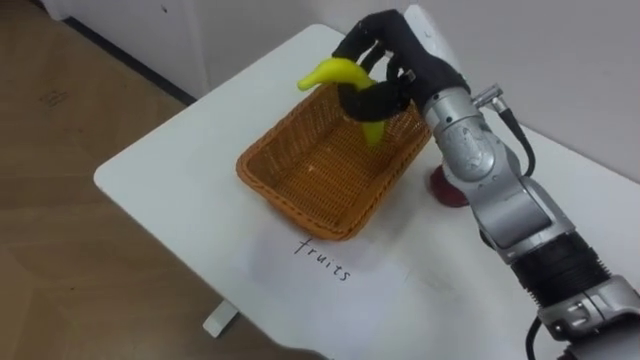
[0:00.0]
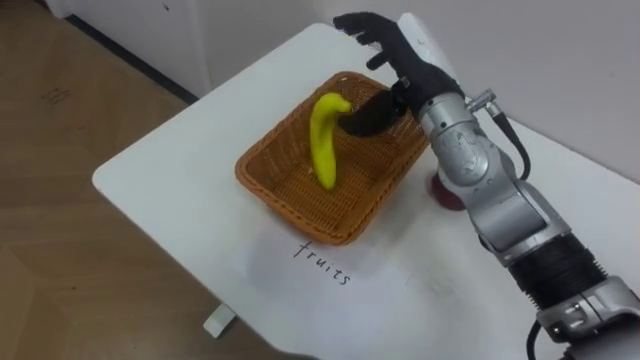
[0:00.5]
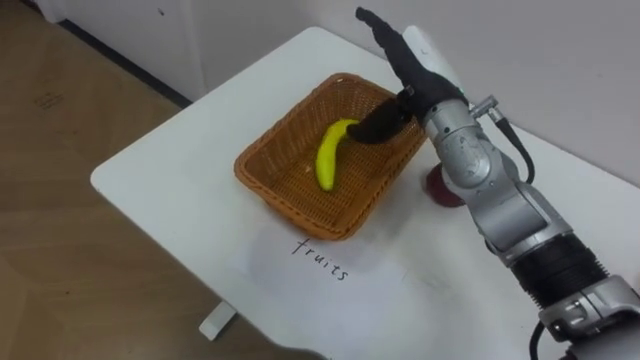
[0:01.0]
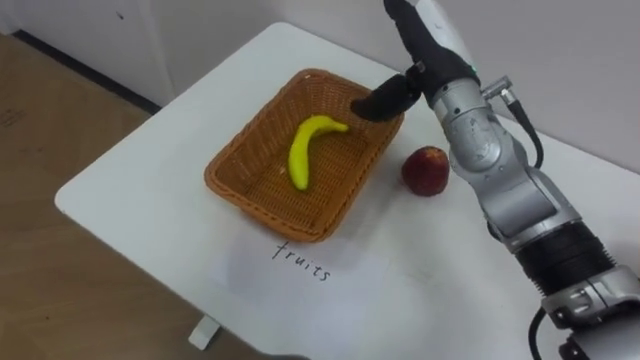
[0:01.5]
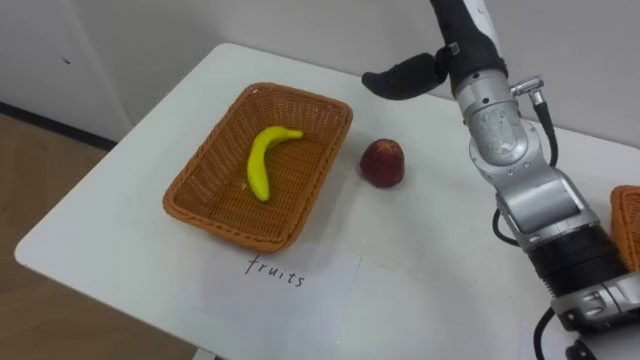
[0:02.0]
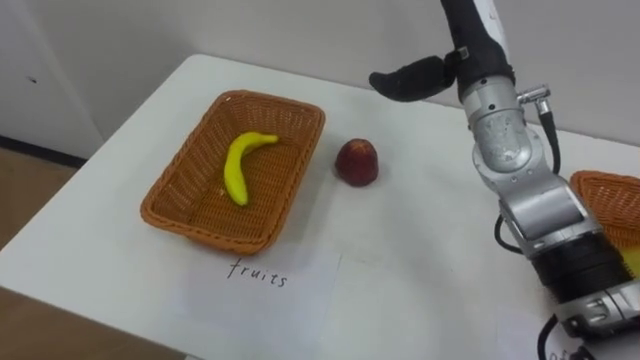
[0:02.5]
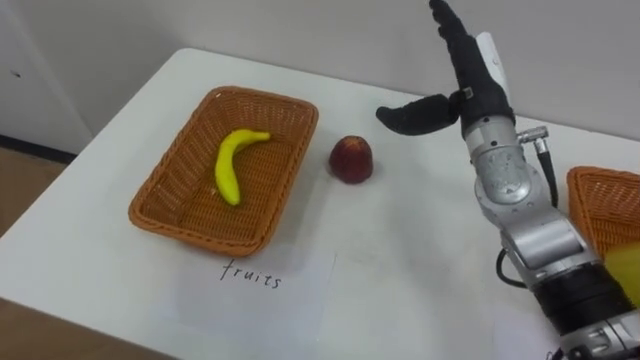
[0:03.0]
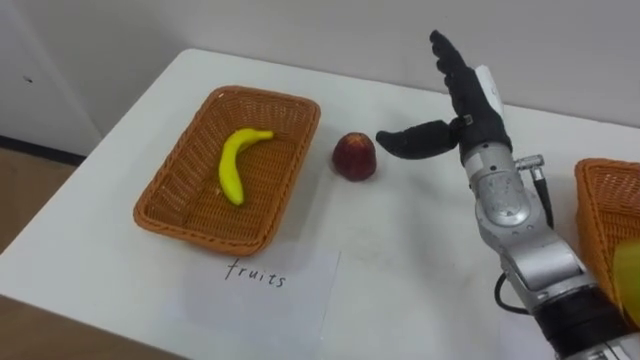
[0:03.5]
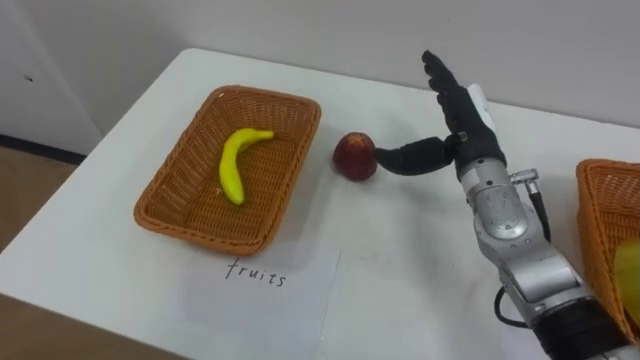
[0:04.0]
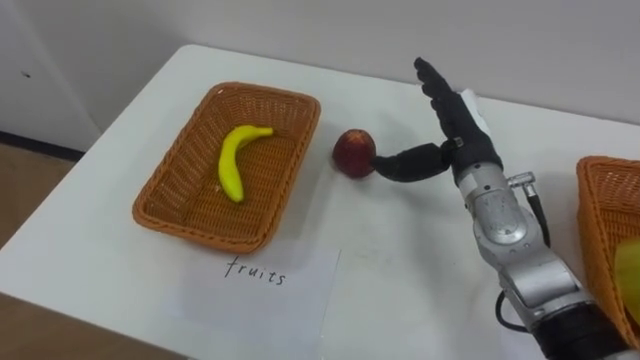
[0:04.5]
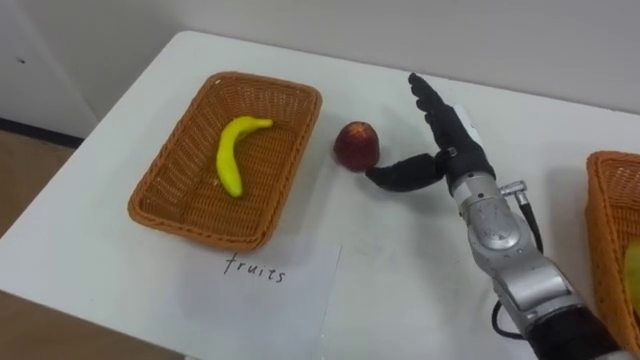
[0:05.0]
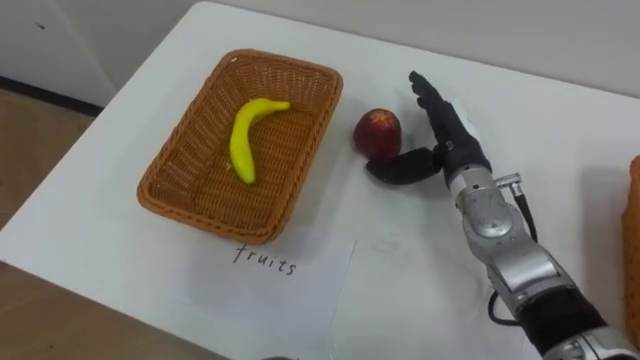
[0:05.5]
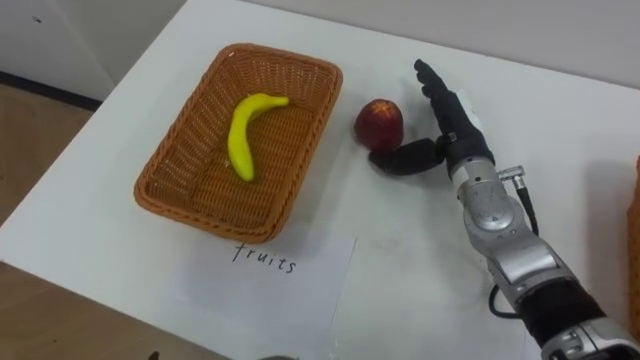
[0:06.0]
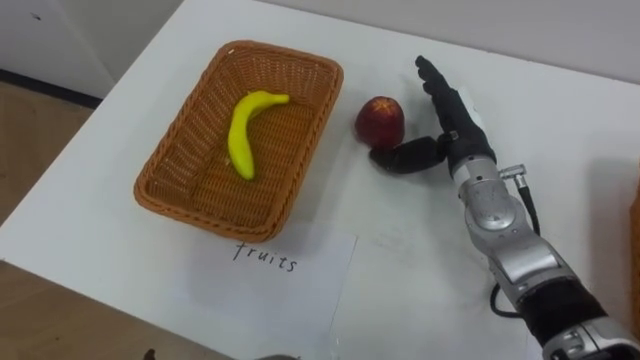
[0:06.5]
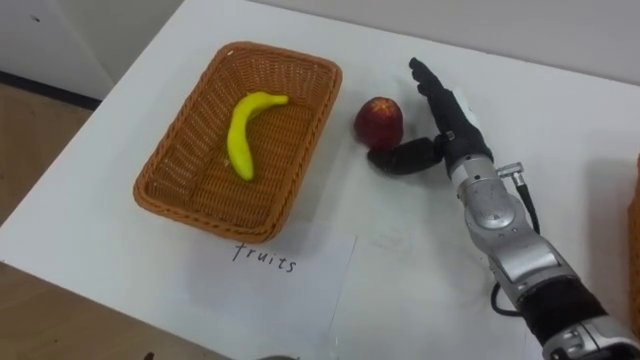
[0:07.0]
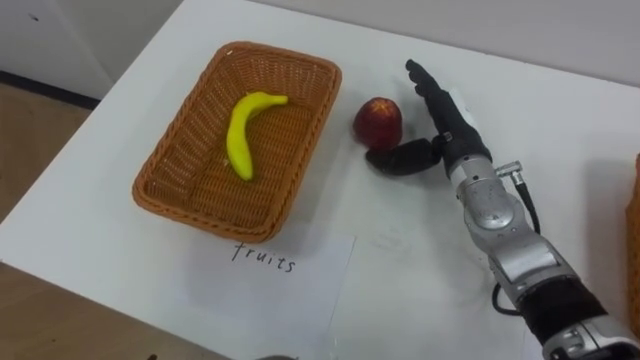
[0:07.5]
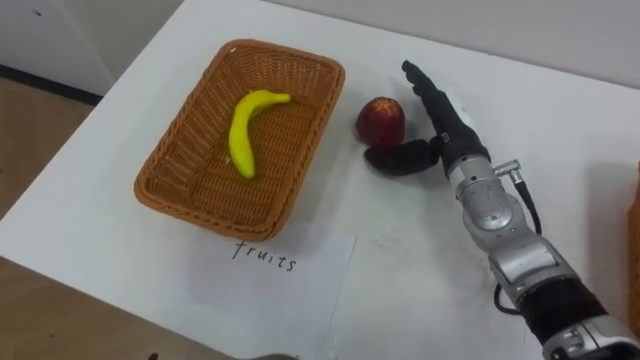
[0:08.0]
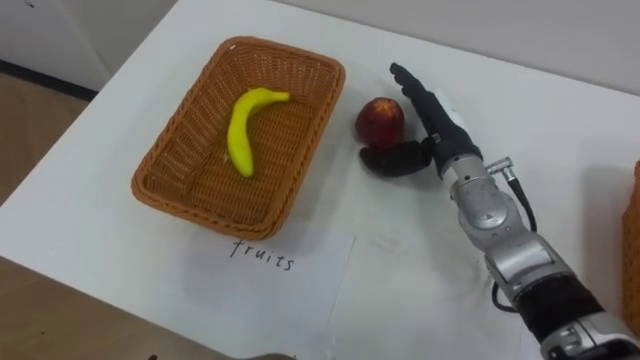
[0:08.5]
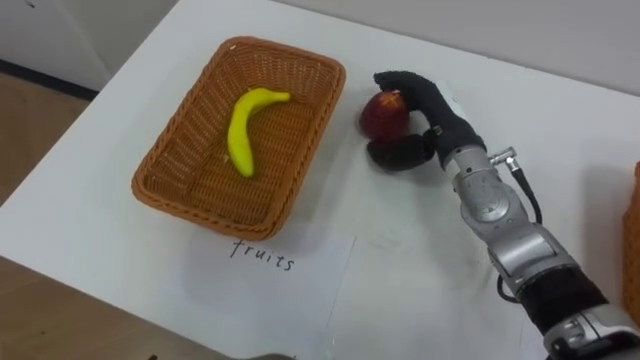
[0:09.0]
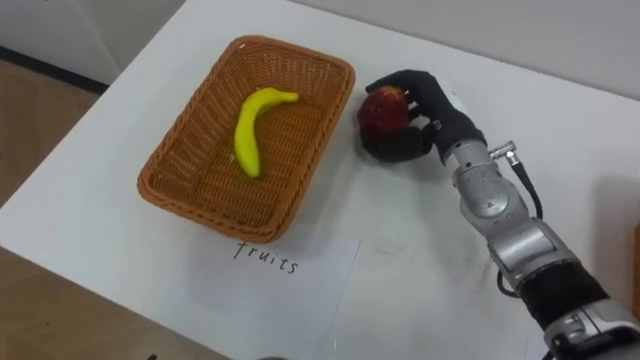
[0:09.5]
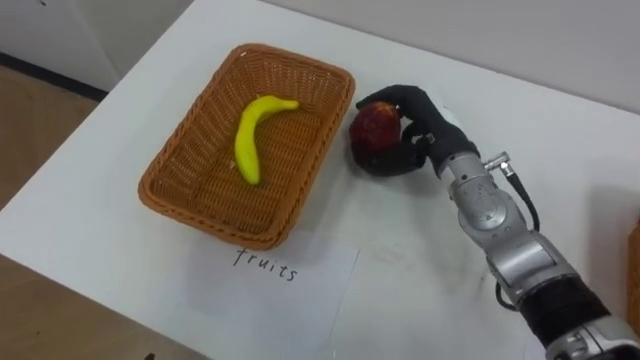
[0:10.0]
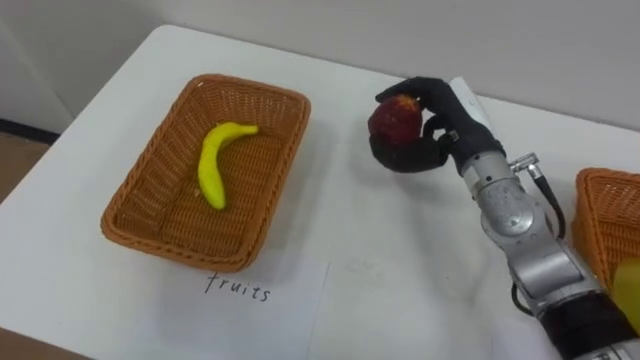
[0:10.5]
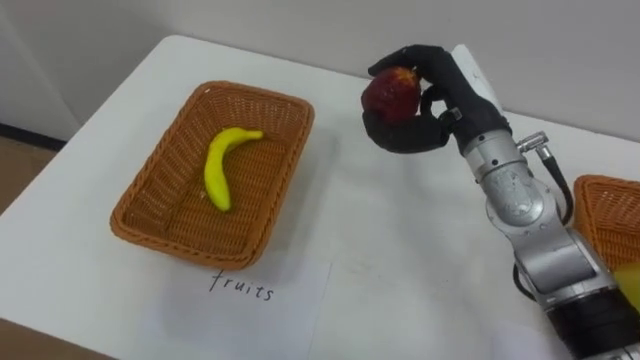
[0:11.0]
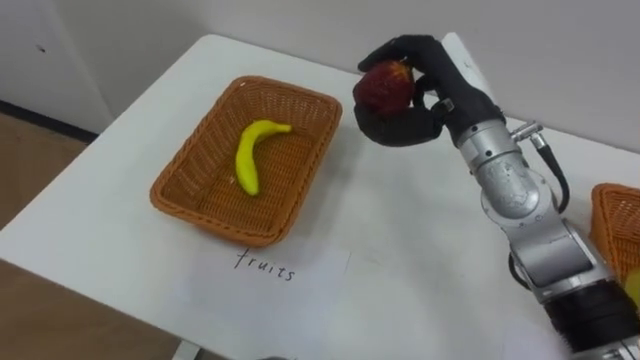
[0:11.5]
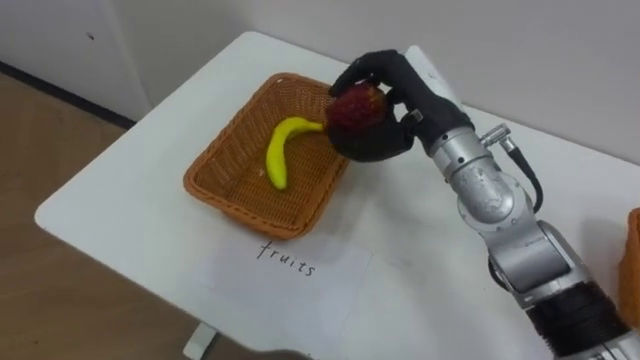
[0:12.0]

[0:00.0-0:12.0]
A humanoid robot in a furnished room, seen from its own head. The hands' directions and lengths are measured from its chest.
Task of the whole recording: Separate the items on the table and place them into the two baskets.
0:00.0 to 0:02.0: The right hand opens its fingers.
0:02.0 to 0:04.0: The right hand shifts approximately 10 cm downward.
0:08.0 to 0:10.0: The right hand closes up.
0:10.0 to 0:12.0: The right hand heads upward, covering about 5 cm.

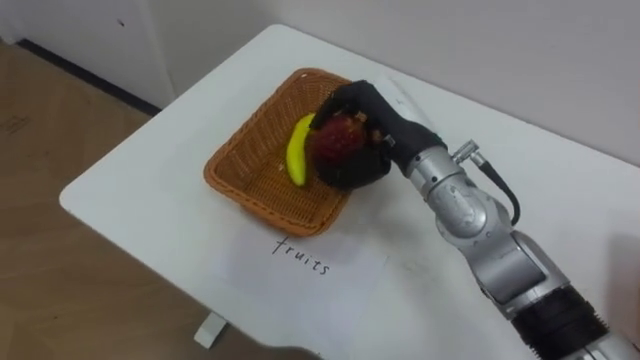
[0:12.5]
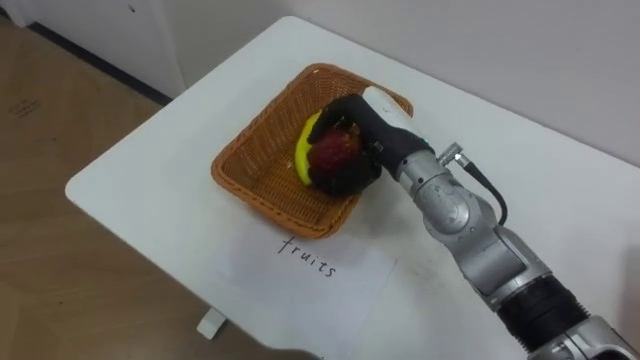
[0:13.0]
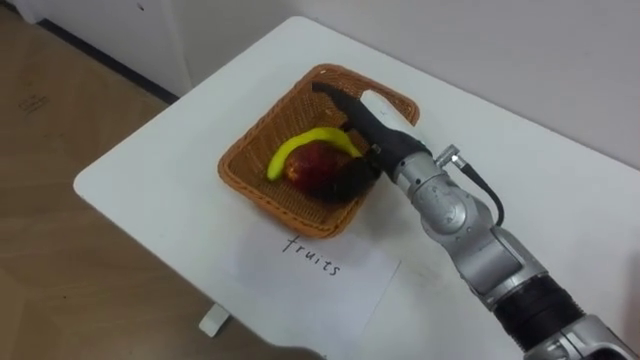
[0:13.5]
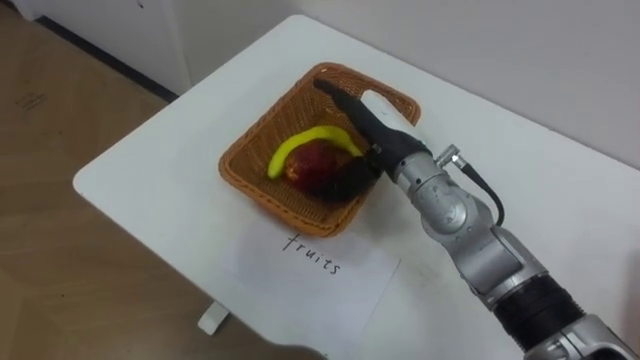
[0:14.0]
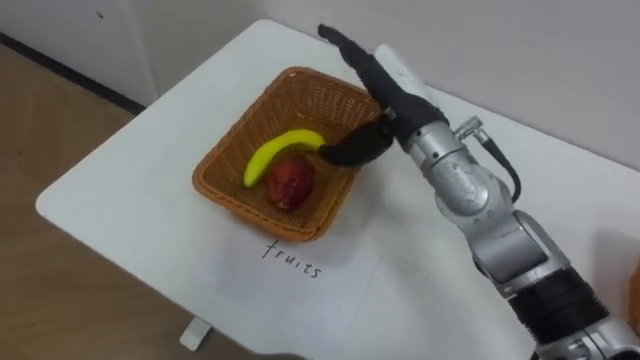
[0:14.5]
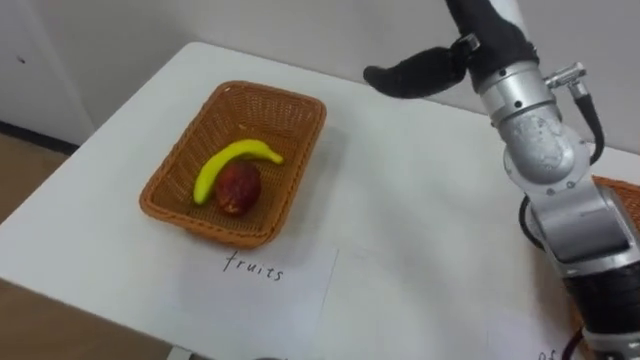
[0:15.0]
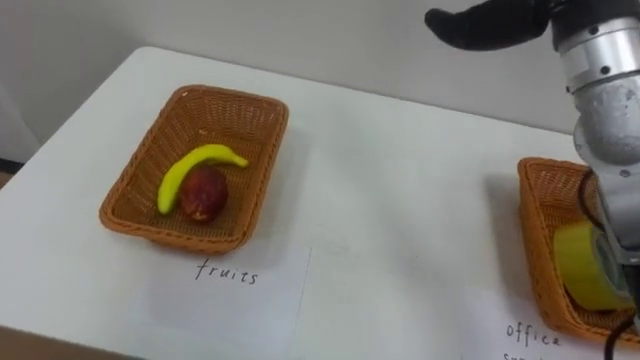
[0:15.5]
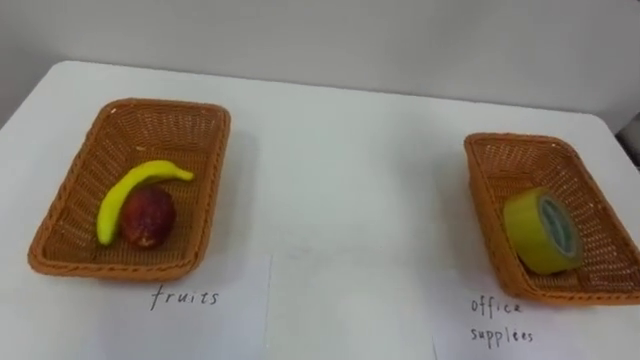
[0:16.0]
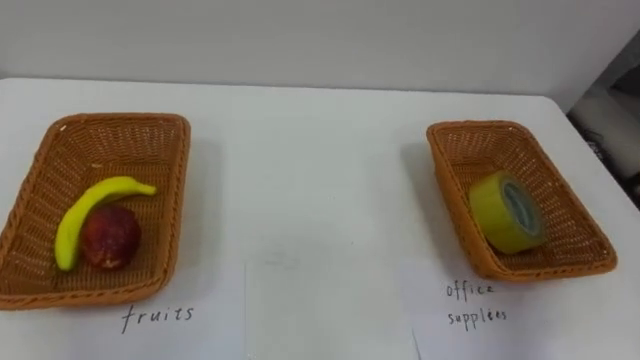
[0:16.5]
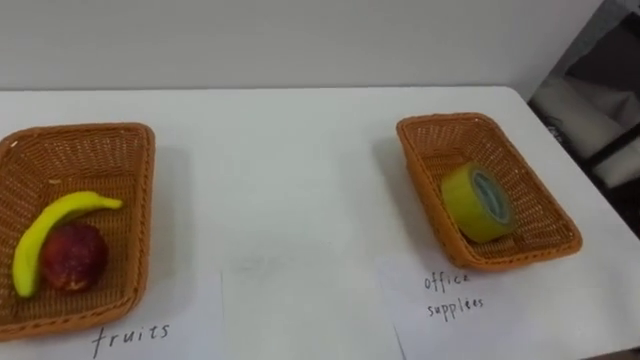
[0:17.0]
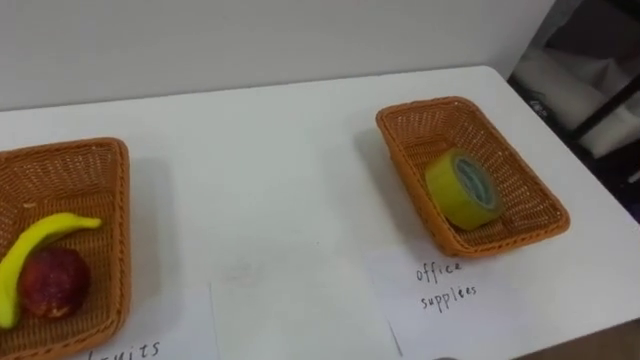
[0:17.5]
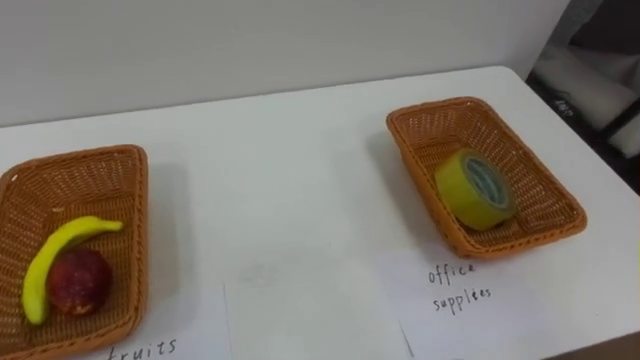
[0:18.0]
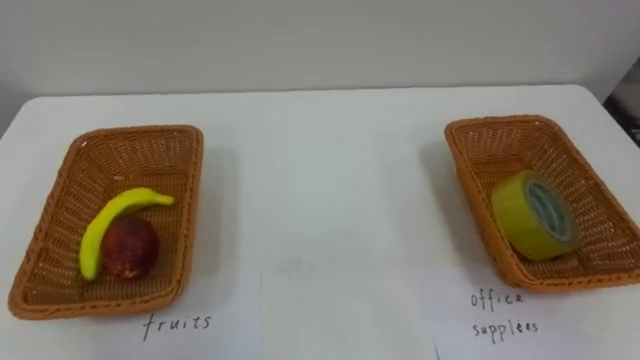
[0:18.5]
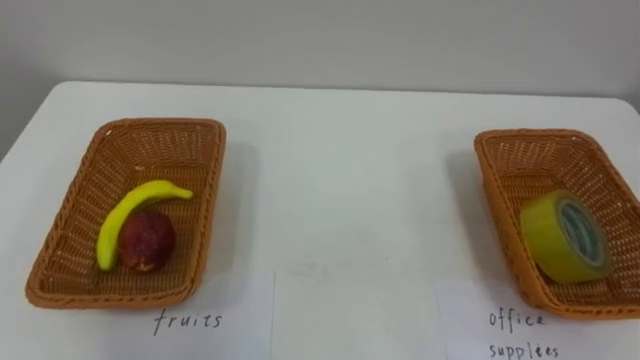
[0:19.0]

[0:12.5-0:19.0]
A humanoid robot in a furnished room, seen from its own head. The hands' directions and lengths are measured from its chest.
Task of the whole recording: Separate the items on the table and place them into the two baskets.
0:12.5 to 0:14.5: The right hand opens.

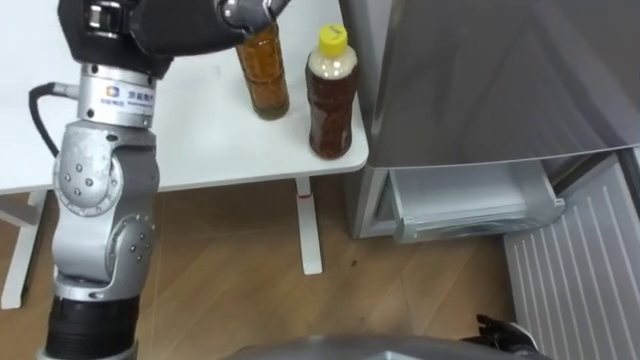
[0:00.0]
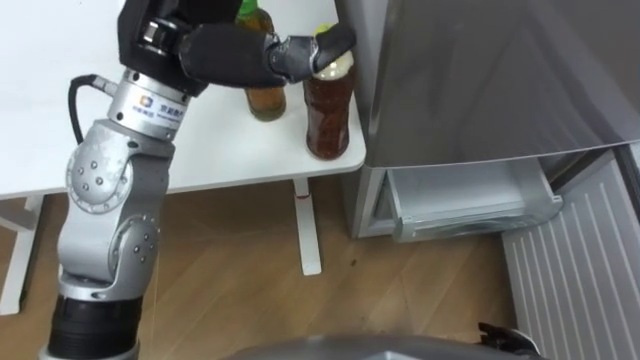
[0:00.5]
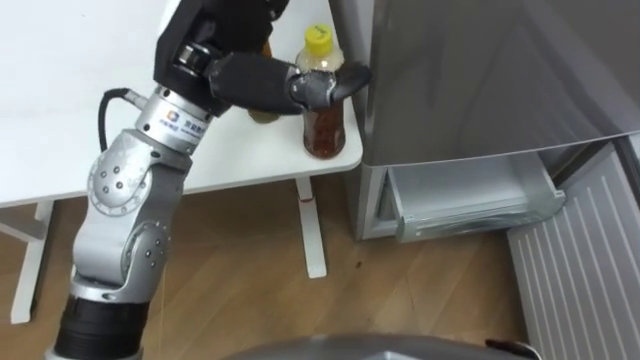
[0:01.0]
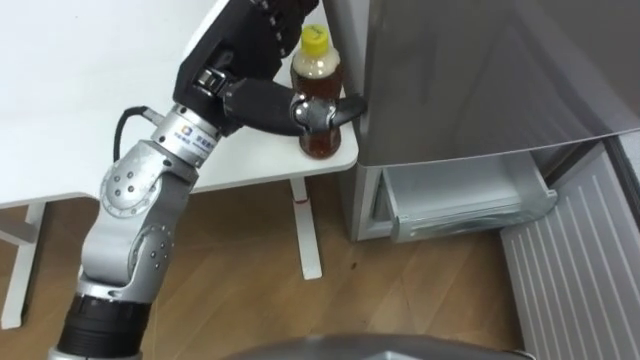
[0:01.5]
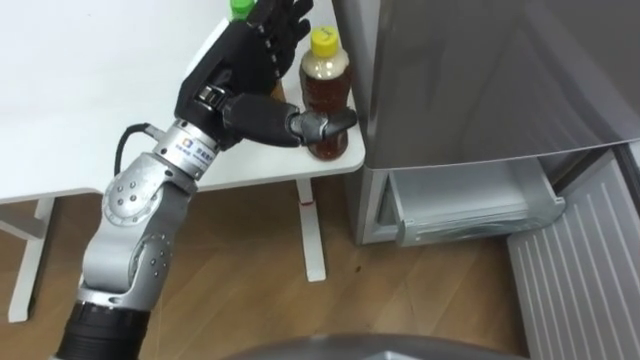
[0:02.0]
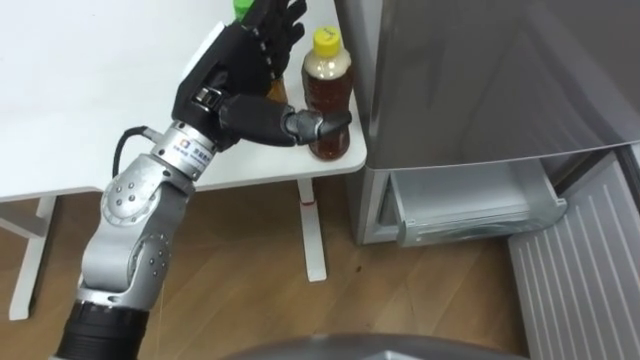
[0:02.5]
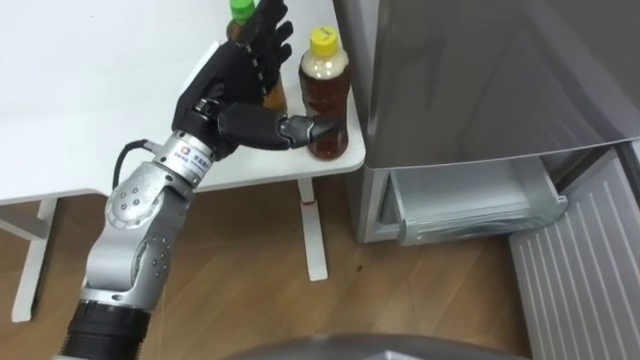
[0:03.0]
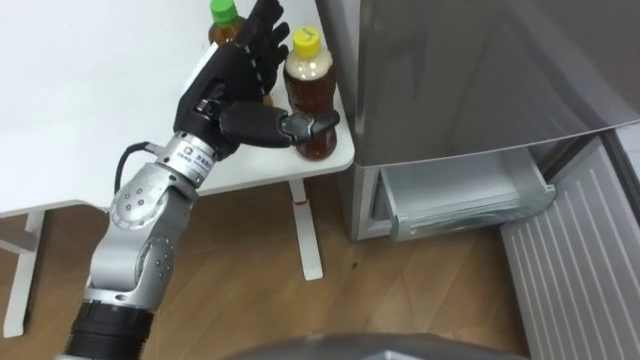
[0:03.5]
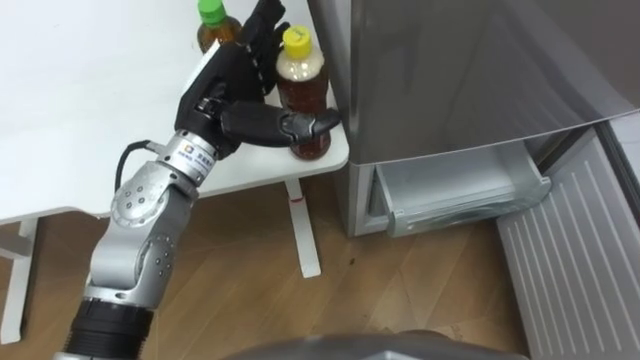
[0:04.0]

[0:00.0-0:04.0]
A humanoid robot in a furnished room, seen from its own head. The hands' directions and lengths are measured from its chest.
Task of the whole recording: Place the drink on the table on the bottom shelf of the refrigerator, then close the drawer and the refrigerator door.
0:00.0 to 0:02.0: The left hand heads downward and to the right, covering about 10 cm.
